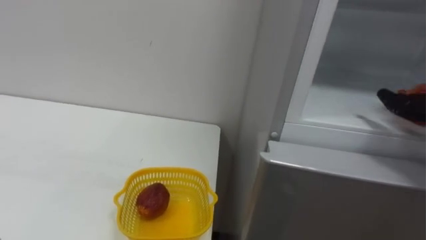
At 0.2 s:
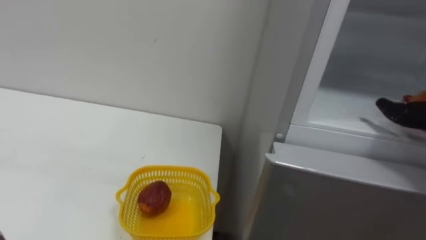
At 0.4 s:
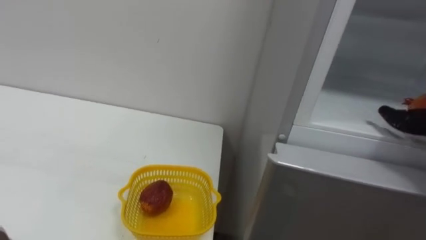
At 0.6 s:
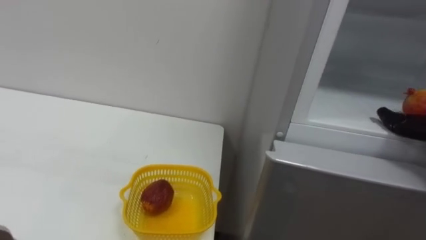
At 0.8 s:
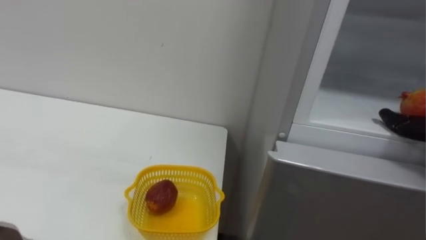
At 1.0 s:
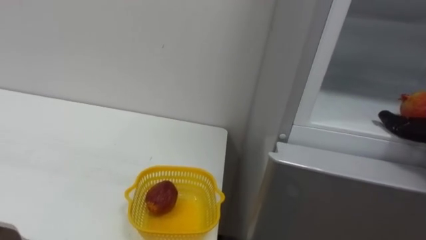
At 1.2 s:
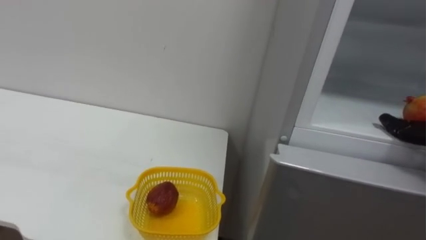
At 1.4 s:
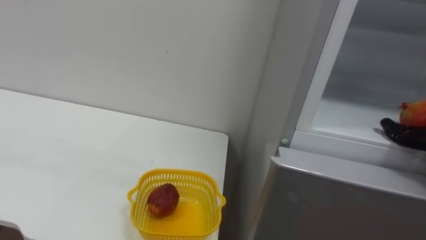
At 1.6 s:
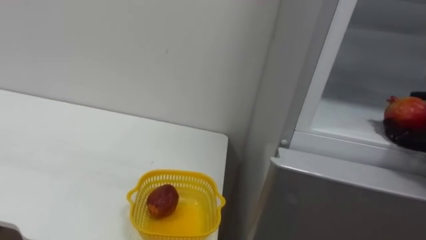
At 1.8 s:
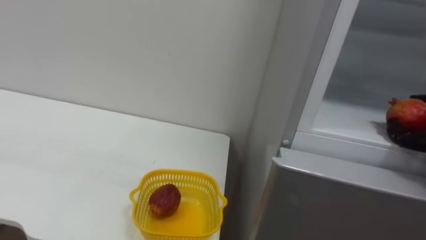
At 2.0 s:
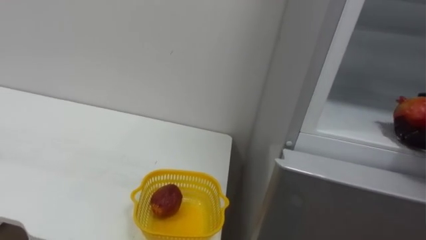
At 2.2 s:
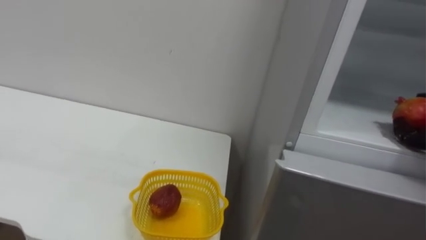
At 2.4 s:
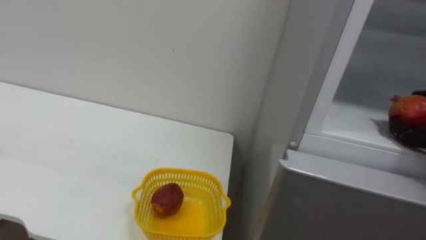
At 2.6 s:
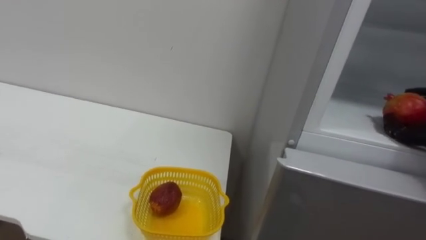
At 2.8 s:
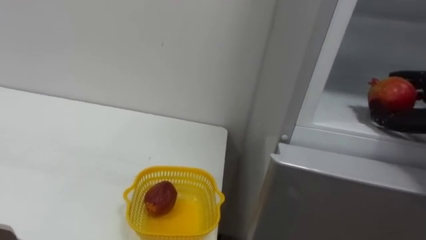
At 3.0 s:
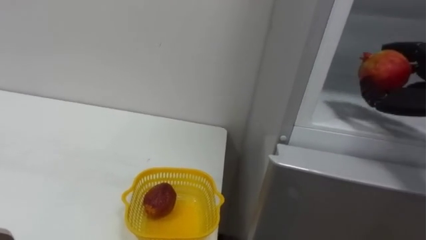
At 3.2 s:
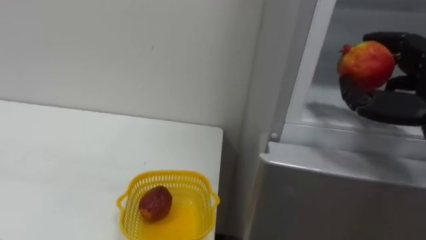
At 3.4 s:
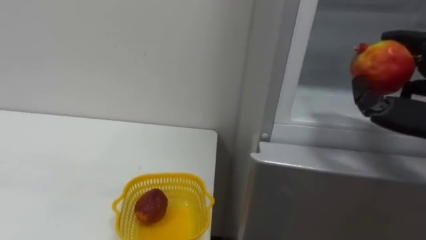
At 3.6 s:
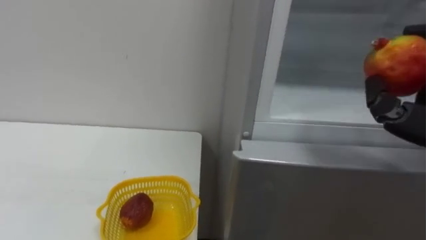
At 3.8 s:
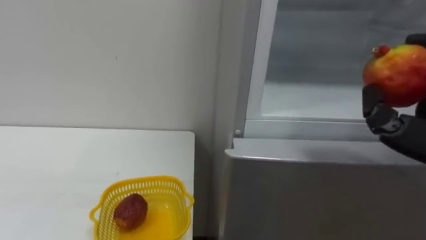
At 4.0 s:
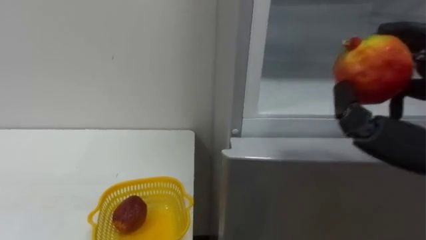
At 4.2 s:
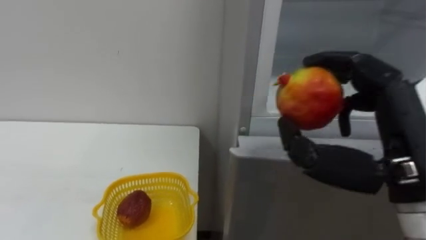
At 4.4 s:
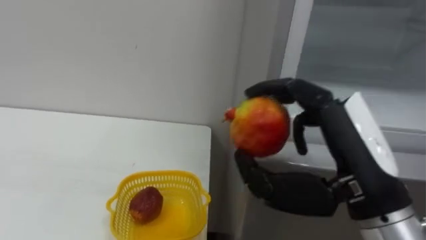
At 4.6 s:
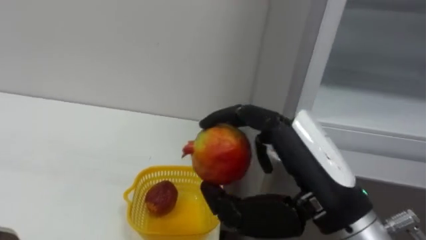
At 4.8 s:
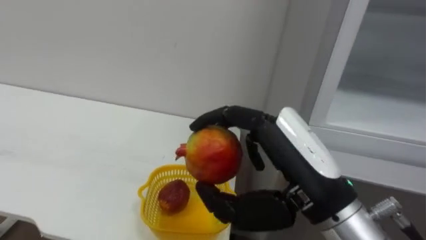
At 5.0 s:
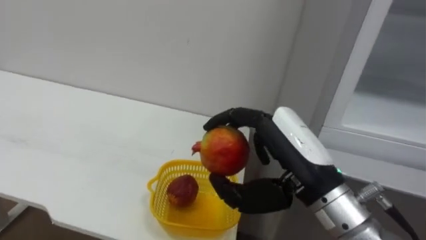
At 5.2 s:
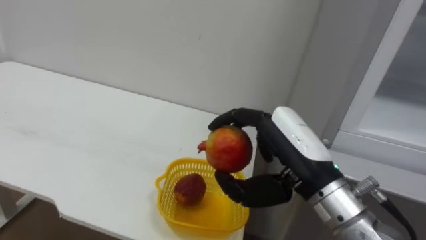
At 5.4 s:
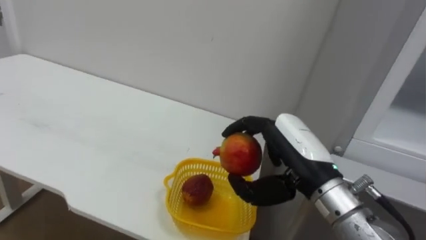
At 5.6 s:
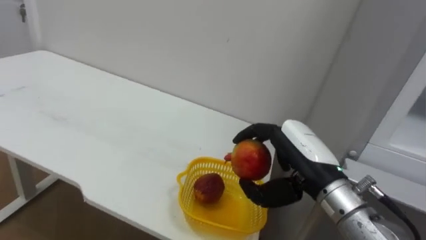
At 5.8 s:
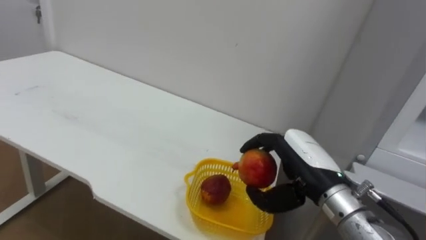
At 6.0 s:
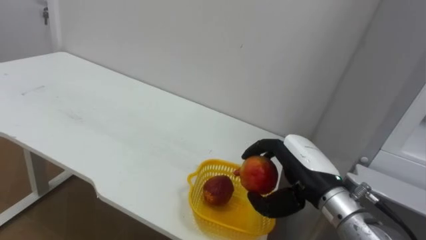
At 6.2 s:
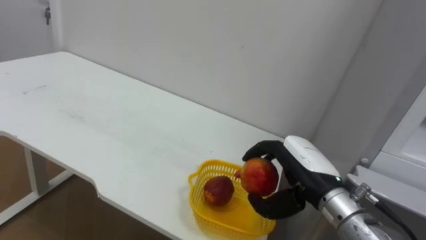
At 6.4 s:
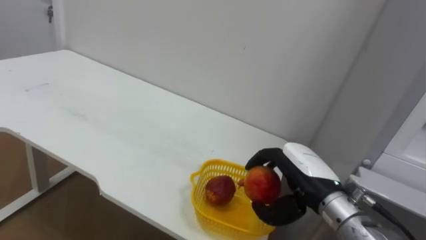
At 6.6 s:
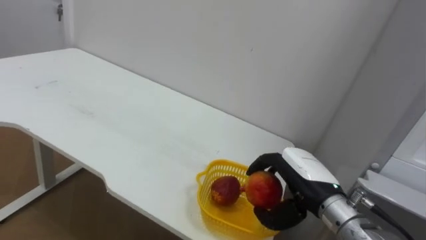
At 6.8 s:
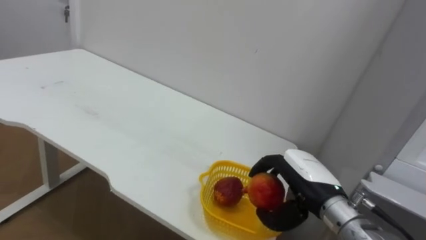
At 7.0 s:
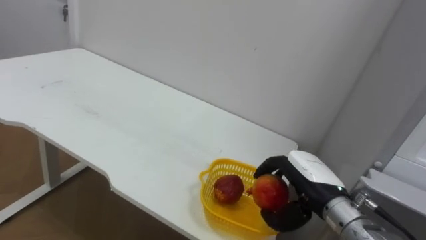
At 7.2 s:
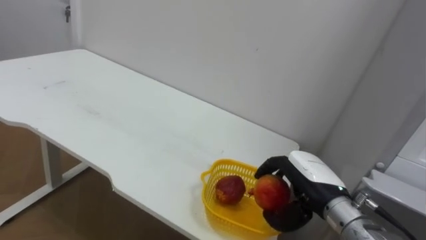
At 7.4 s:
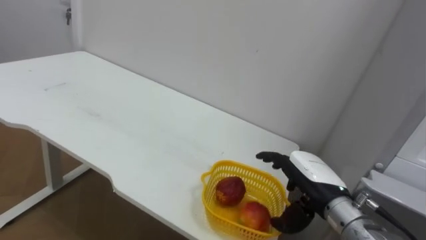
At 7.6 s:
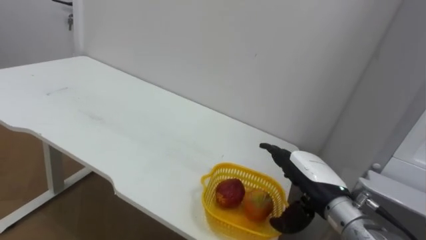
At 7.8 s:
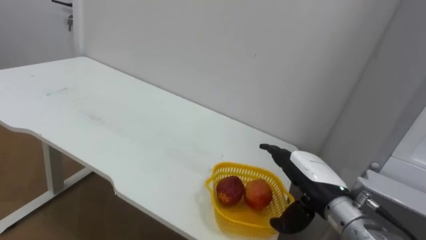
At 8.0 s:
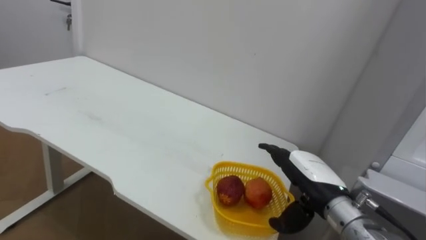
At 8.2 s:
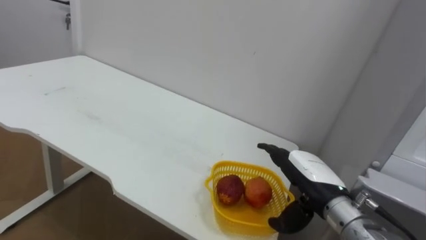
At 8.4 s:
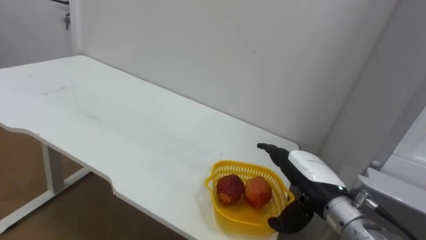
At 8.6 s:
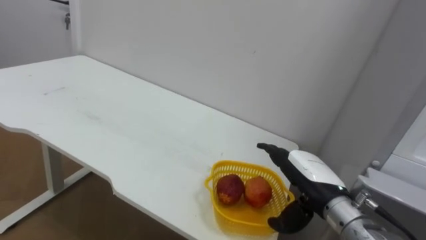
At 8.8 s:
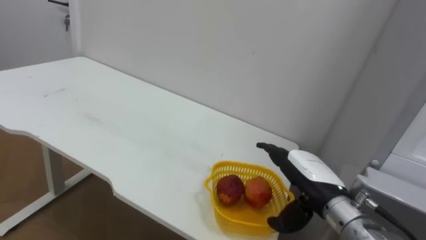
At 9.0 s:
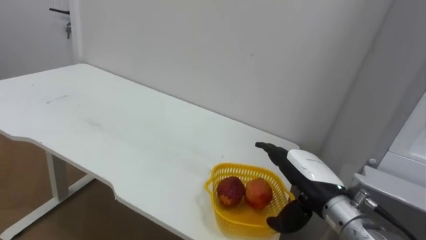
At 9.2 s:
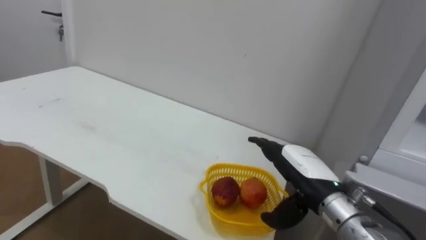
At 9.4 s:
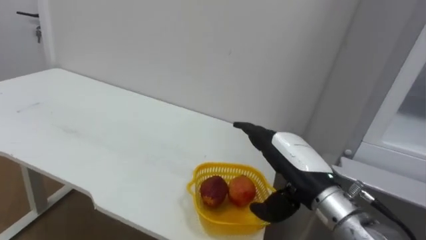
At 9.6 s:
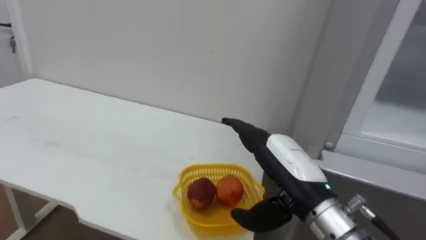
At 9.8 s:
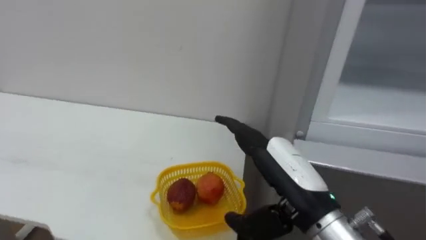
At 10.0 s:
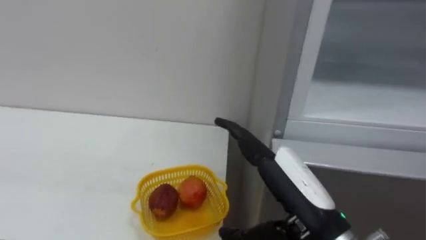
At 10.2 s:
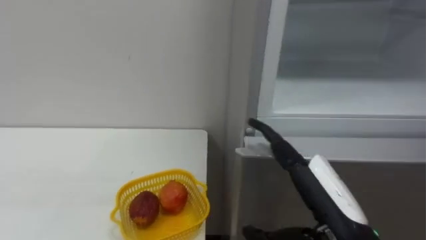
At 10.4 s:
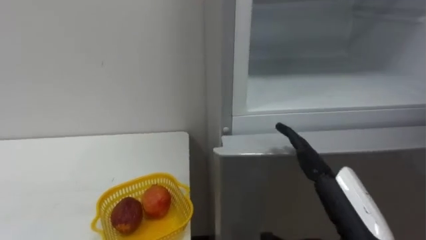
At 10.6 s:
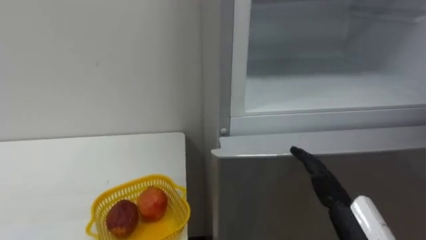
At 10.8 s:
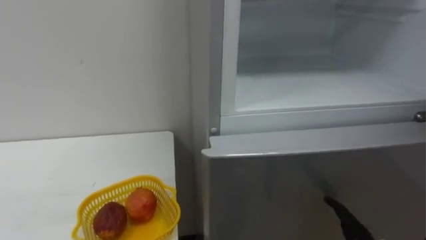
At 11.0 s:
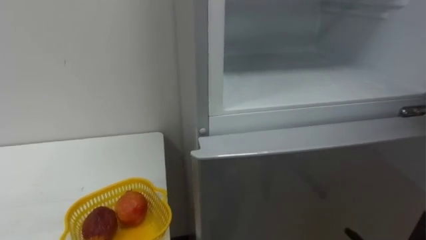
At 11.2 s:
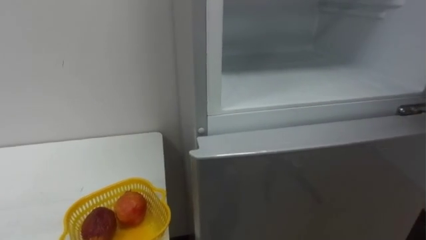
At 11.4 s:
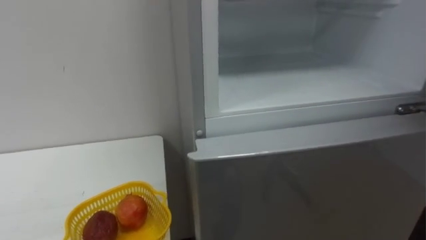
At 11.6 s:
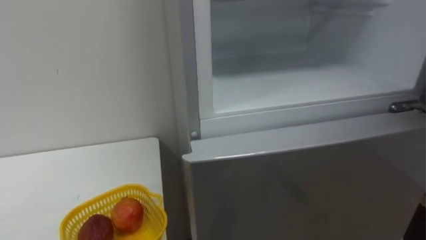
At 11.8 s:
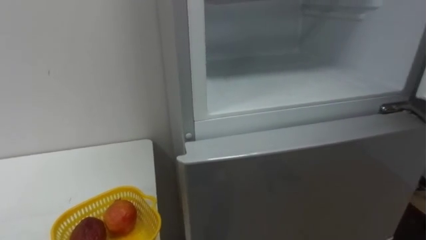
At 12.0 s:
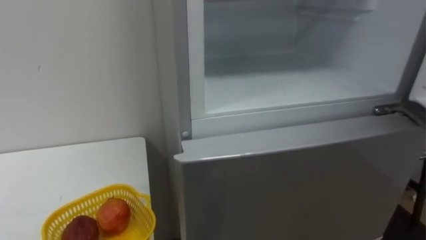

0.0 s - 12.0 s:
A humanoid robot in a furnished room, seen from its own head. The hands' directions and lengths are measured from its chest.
Task of the whole recording: Open the refrigerator door, take out the apple and the pomegranate, place them in the fruit basket on the left, and close the refrigerator door.
4.4 s - 6.0 s: The right hand moves downward and forward, some 15 cm.
6.0 s - 7.6 s: The right hand opens up.
9.0 s - 10.4 s: The right hand moves backward and upward, some 15 cm.

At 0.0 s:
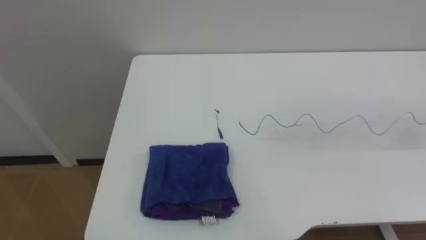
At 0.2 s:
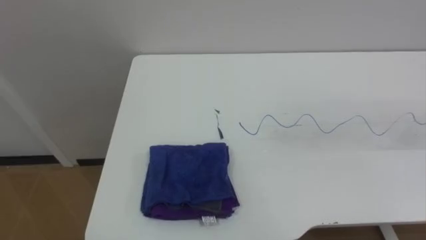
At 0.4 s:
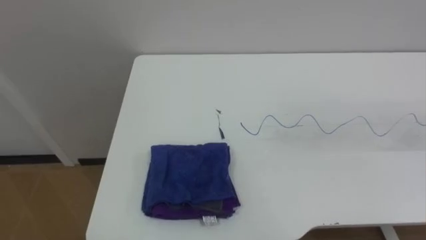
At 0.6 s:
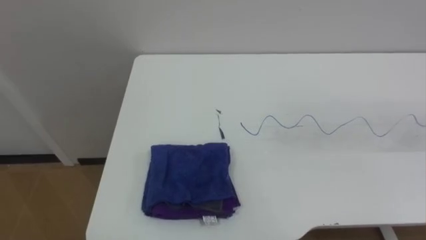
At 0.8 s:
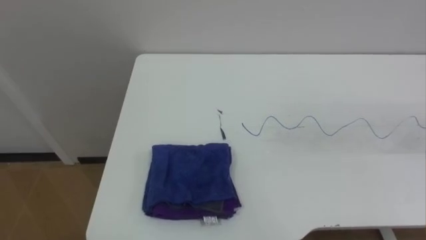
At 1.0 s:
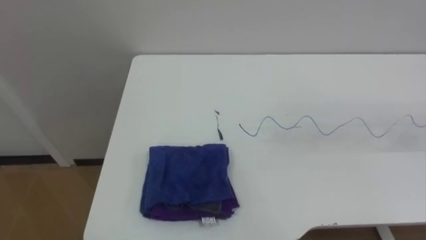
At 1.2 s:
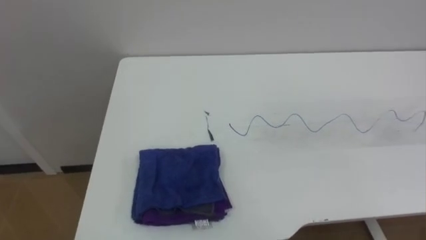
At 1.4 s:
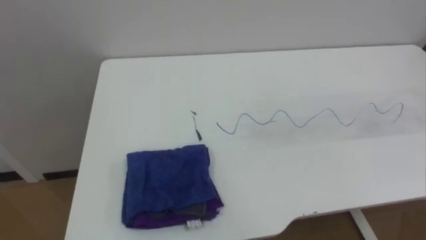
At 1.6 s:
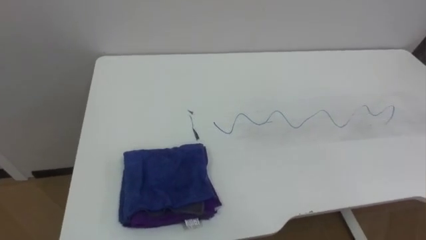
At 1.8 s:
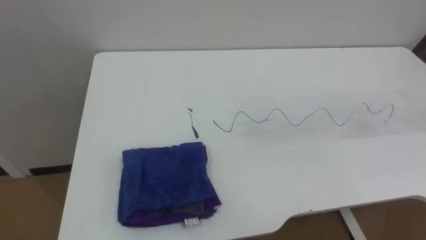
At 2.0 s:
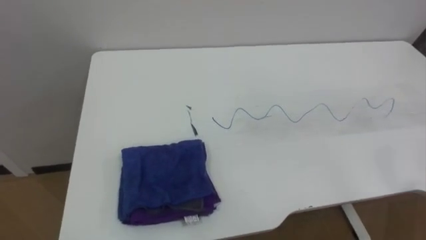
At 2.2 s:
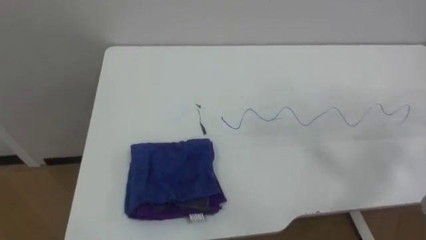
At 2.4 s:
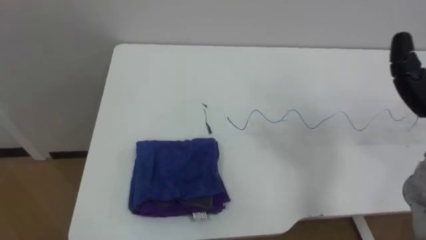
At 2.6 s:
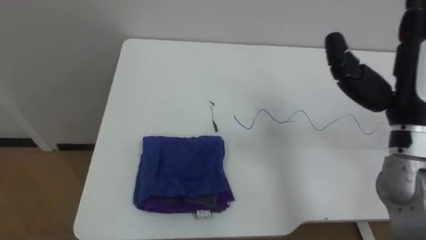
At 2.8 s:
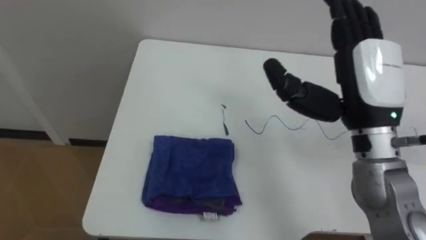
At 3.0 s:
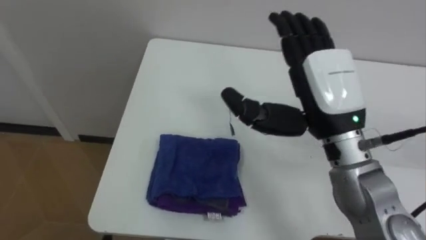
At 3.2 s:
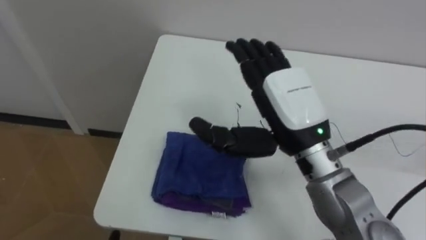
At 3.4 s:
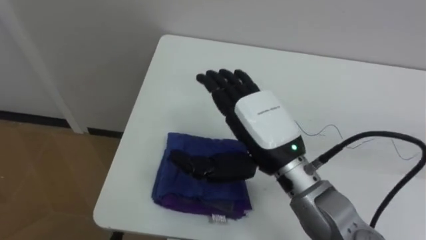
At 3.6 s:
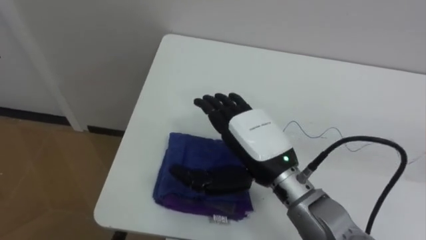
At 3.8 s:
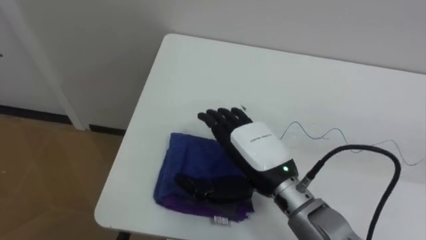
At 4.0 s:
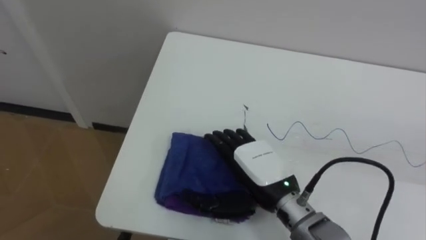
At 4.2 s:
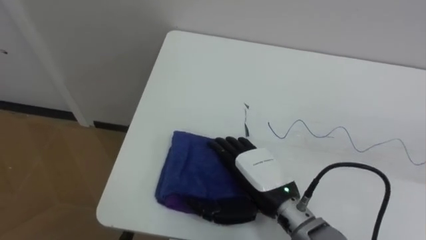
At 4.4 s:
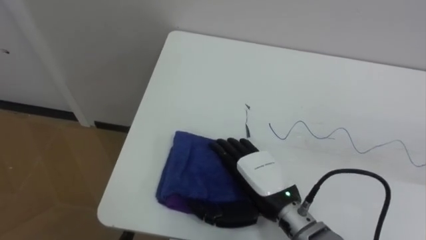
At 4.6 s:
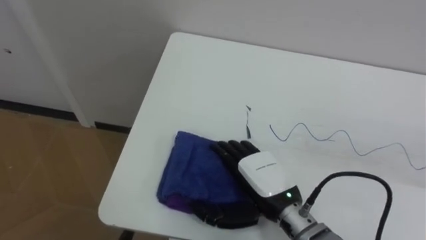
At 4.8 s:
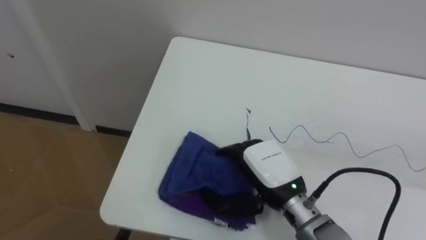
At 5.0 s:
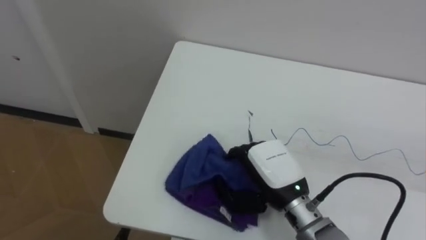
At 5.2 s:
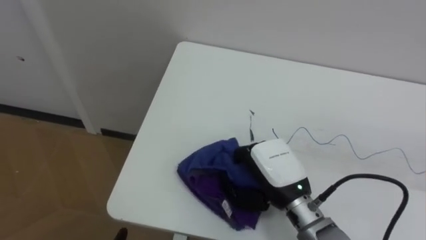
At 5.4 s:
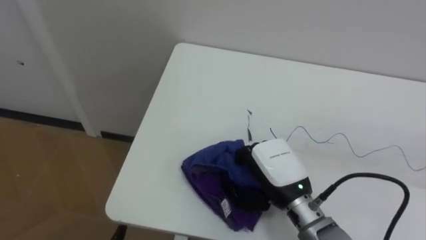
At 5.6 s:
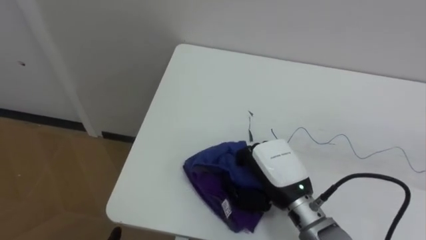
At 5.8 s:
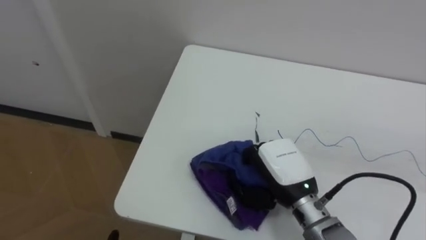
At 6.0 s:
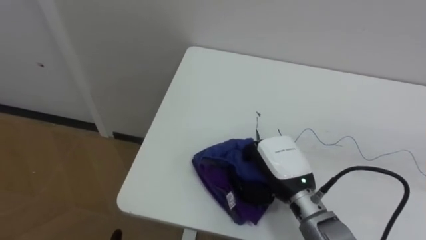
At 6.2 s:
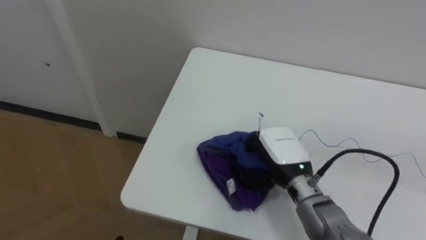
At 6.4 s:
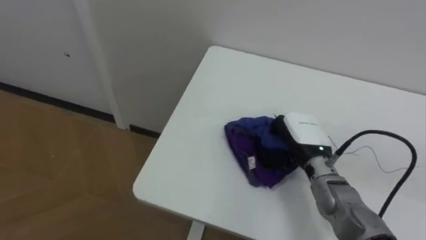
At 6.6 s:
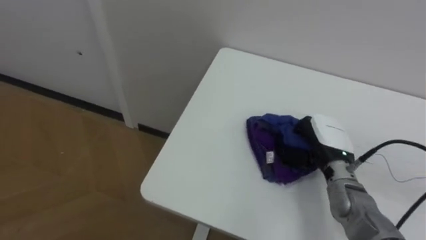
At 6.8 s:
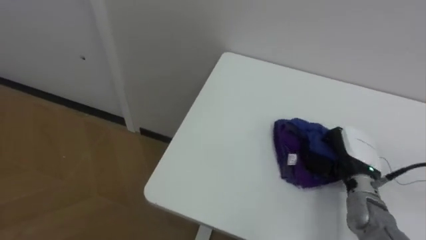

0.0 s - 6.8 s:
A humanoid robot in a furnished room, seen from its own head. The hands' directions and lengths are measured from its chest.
Task of the whole recording: Wipe the blue pen marks off the table with the rag.
2.8 s - 4.0 s: The right hand moves downward and to the left, roughly 20 cm.
4.0 s - 5.4 s: The right hand closes up.
5.4 s - 6.8 s: The right hand shifts roughly 15 cm to the right.
